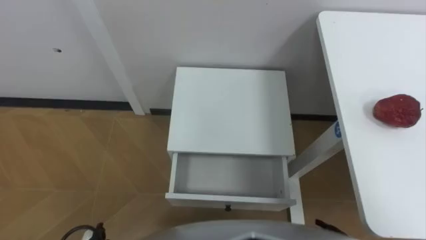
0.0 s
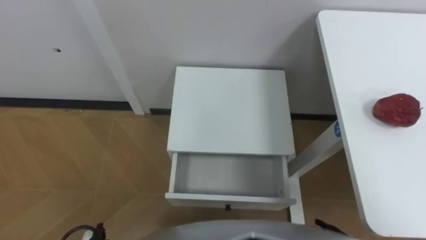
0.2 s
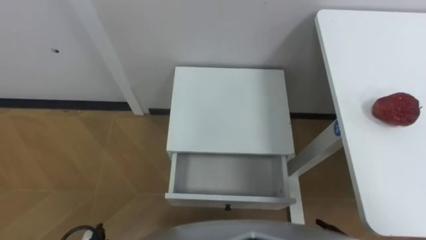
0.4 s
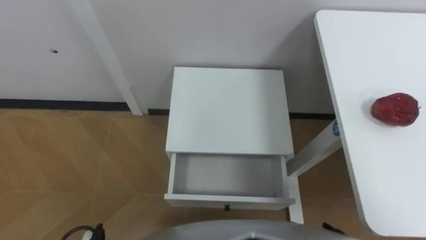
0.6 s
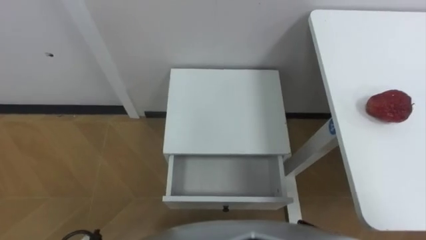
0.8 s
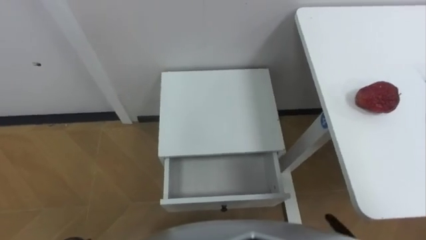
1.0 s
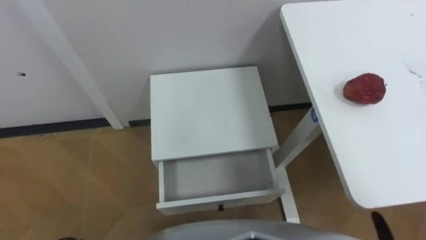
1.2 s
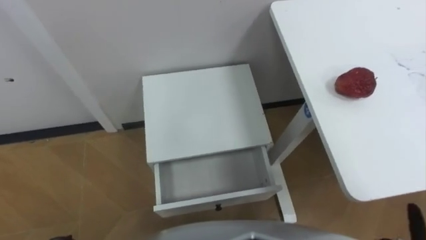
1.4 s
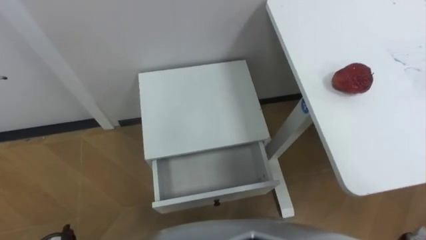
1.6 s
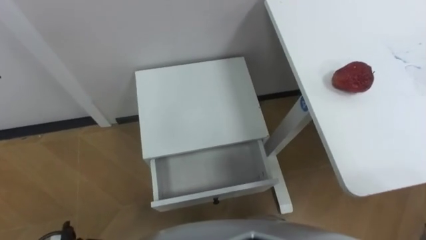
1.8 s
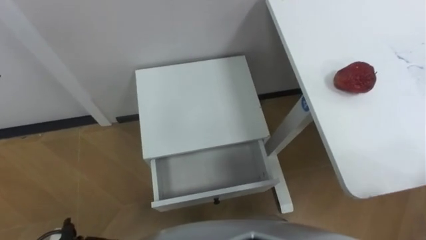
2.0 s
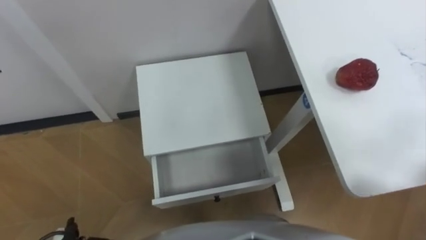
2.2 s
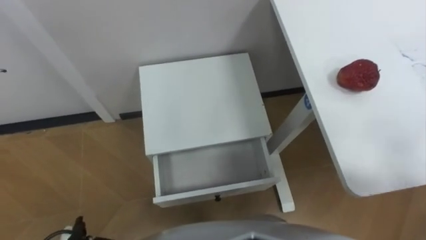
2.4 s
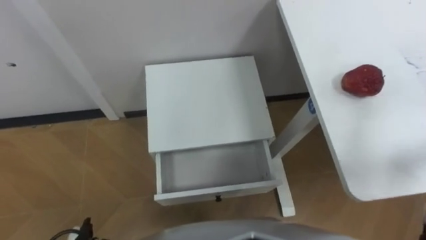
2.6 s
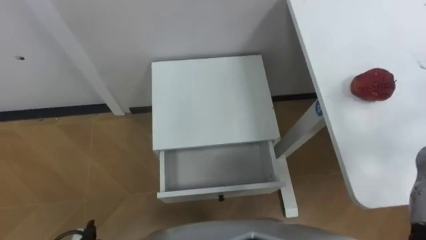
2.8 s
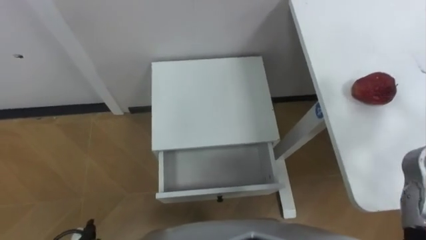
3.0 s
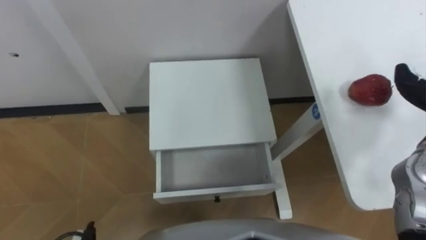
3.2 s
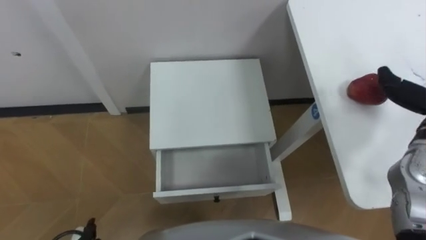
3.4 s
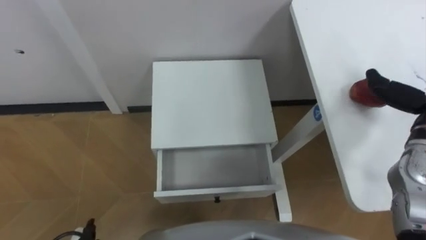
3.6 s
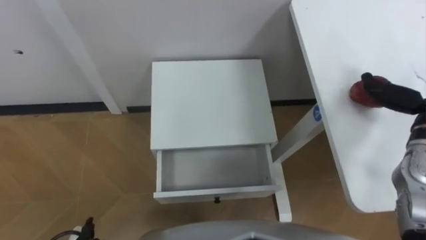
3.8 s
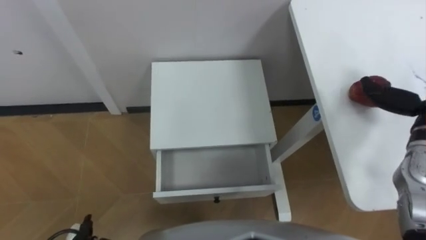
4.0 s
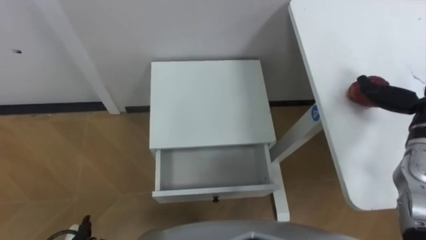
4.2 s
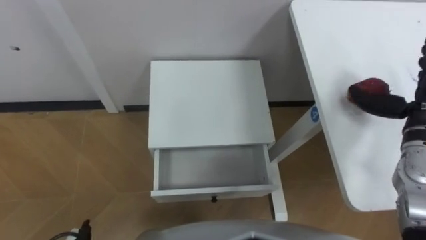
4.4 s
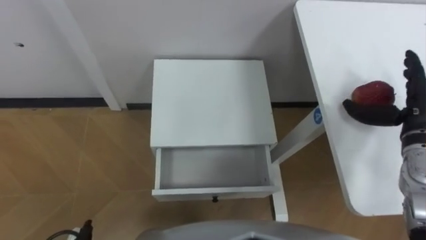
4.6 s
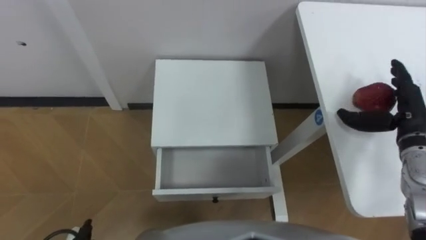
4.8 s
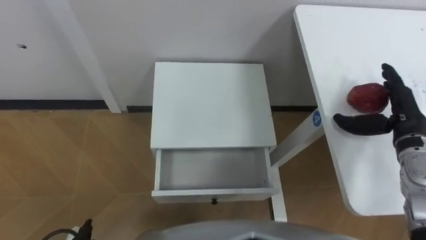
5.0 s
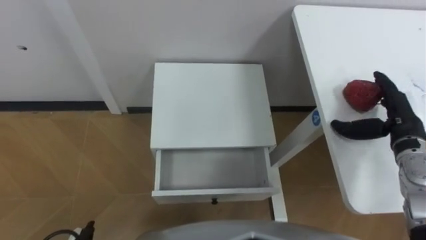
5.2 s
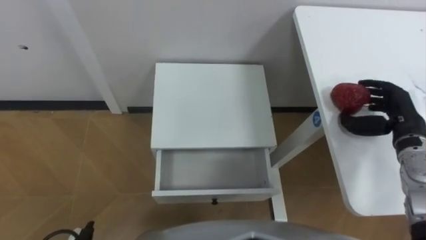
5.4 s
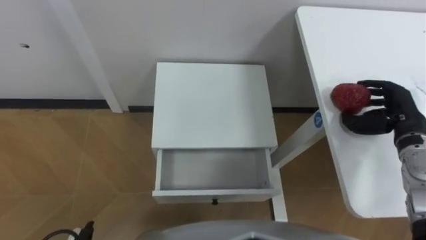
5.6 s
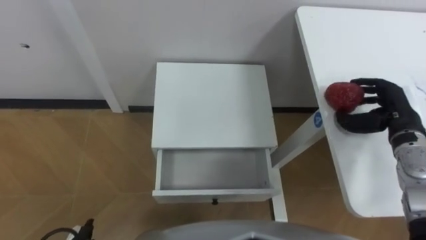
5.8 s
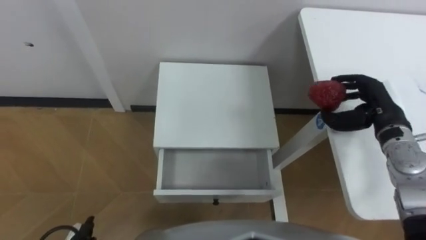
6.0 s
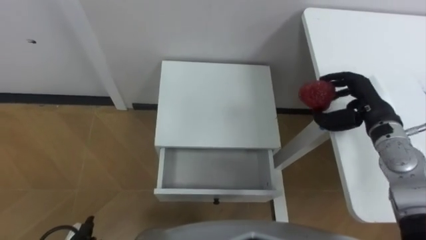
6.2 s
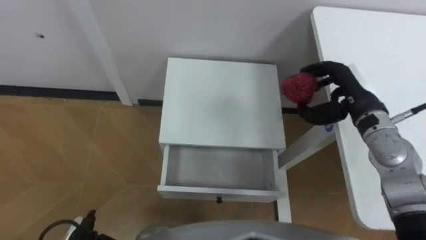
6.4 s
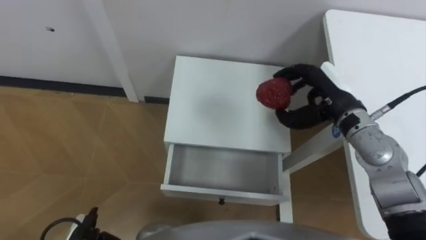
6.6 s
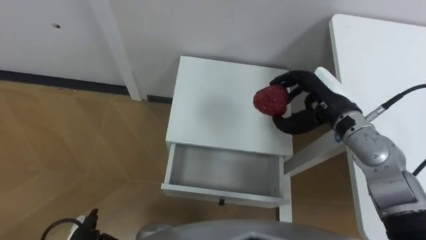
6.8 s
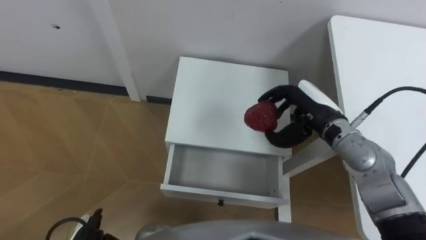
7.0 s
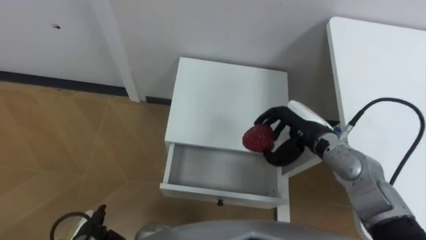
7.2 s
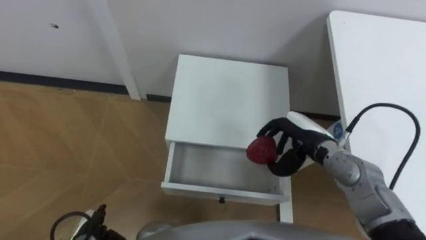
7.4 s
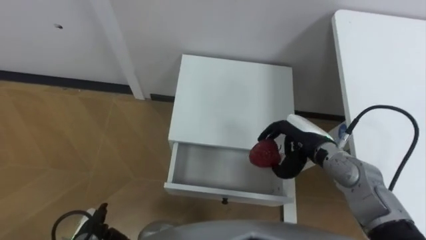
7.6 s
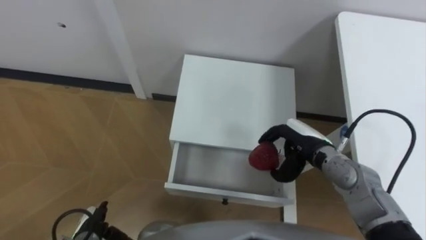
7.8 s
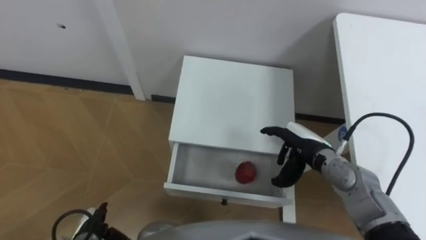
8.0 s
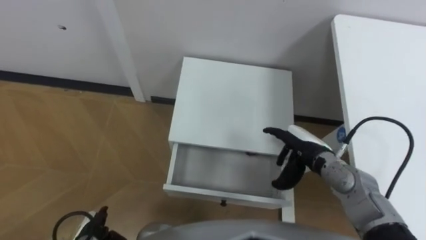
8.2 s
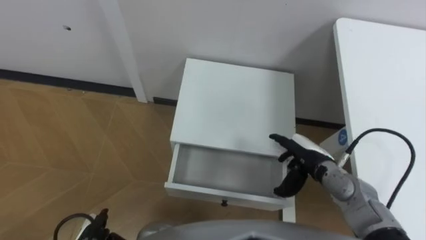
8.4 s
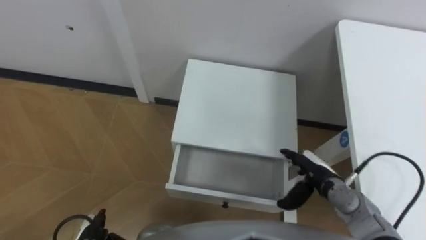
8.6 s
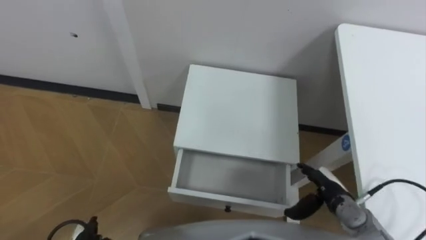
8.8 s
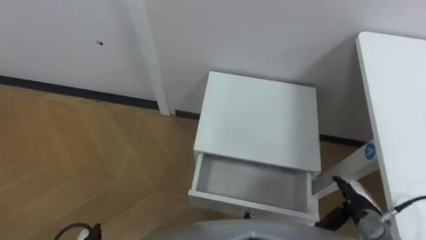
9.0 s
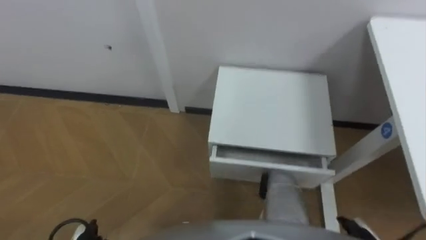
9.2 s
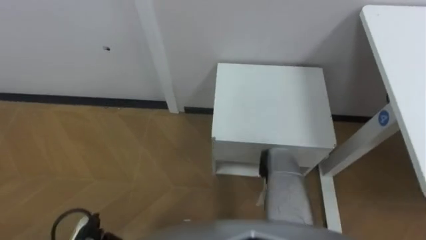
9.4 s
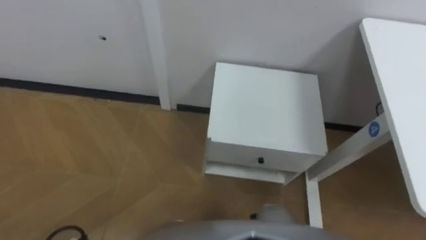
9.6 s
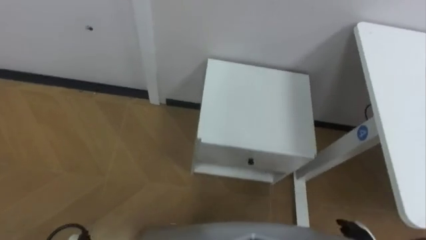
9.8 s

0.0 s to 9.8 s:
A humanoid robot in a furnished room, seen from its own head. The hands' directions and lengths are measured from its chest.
Task of the whole recording: Pick up the apple from the table, put it in the drawer, and close the drawer with leg.
5.6 to 7.0 s: The right hand heads to the left, covering some 15 cm.
7.0 to 8.4 s: The right hand moves downward and backward, about 10 cm, and opens.

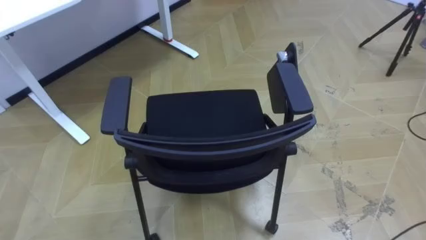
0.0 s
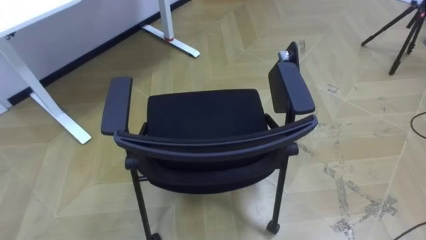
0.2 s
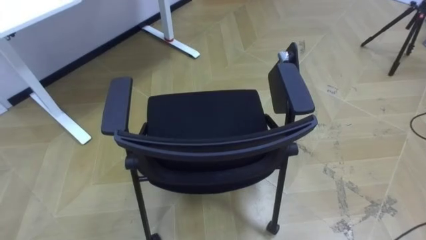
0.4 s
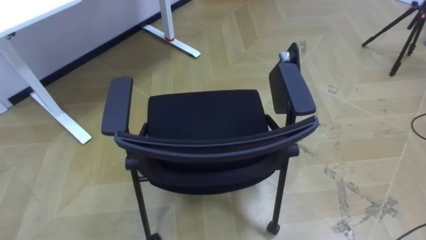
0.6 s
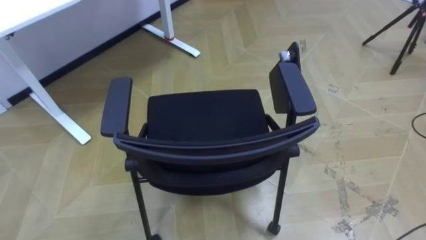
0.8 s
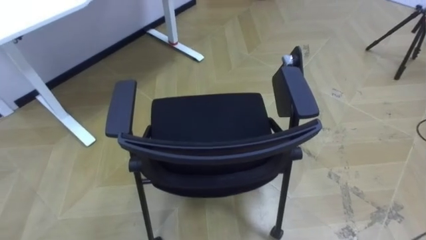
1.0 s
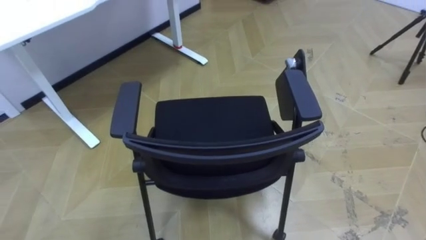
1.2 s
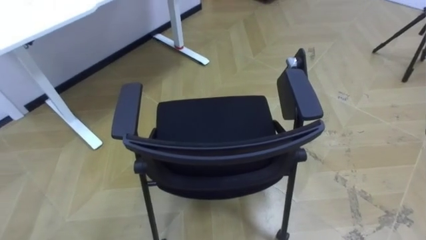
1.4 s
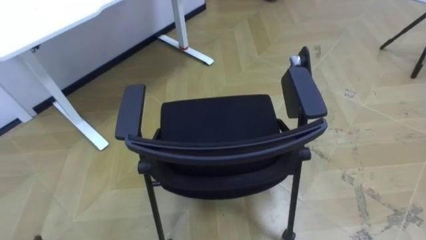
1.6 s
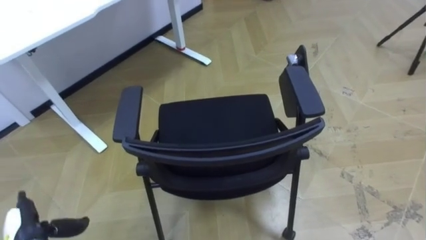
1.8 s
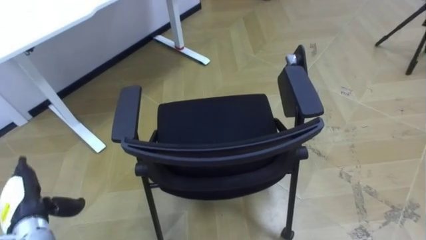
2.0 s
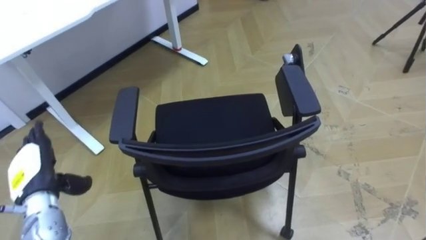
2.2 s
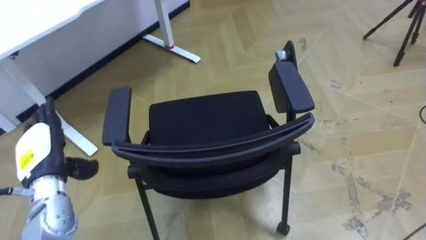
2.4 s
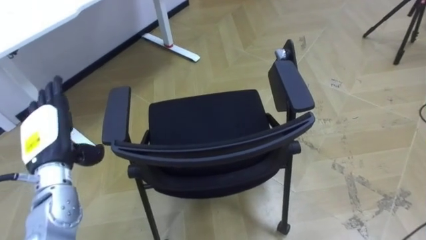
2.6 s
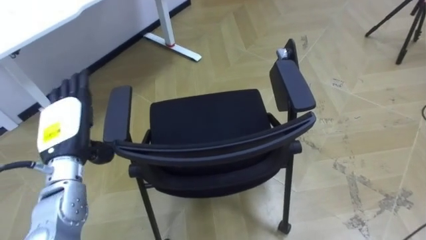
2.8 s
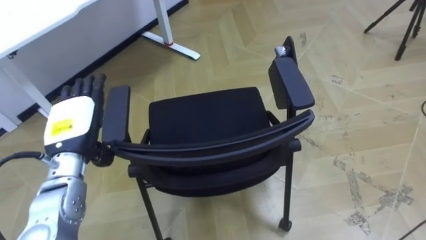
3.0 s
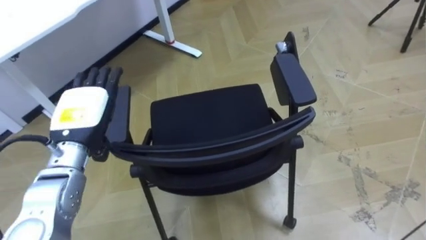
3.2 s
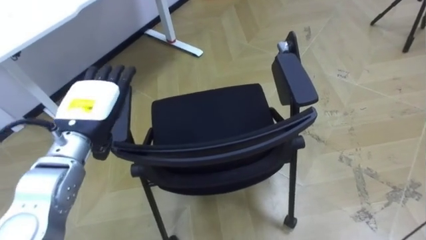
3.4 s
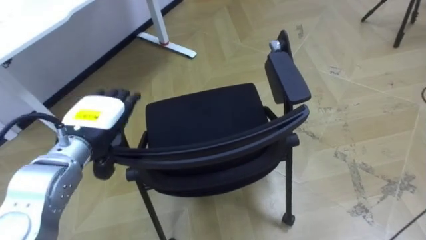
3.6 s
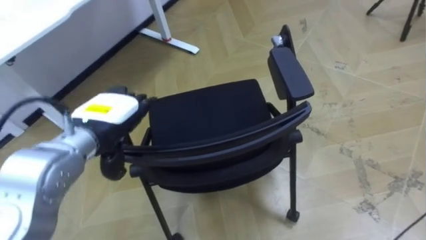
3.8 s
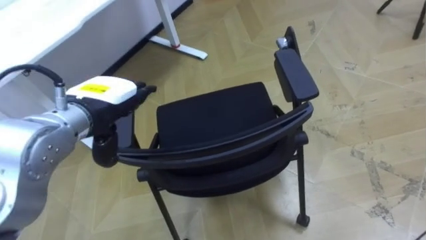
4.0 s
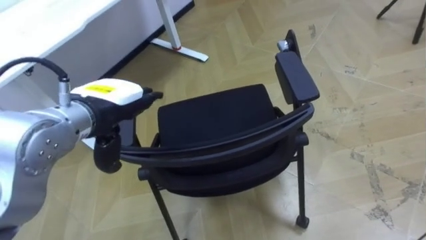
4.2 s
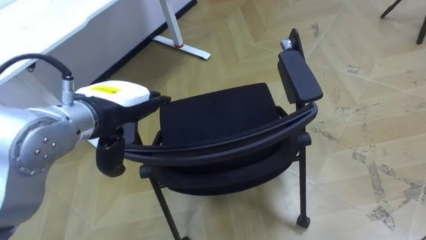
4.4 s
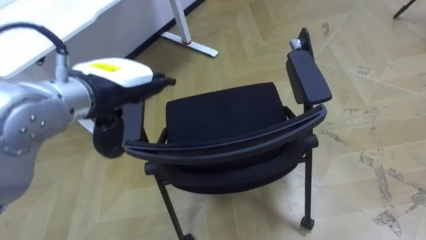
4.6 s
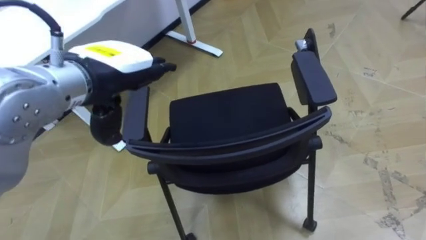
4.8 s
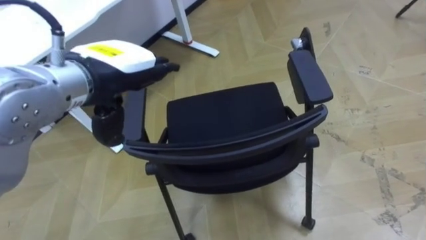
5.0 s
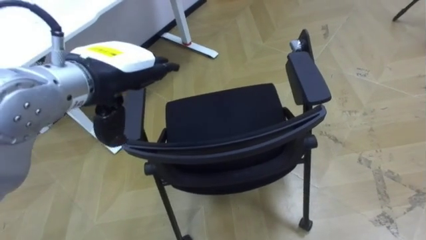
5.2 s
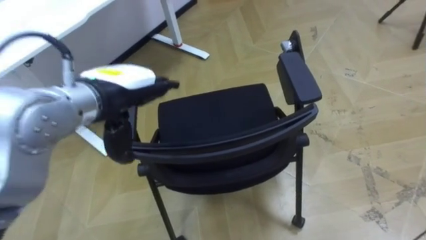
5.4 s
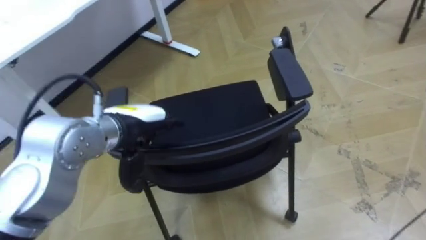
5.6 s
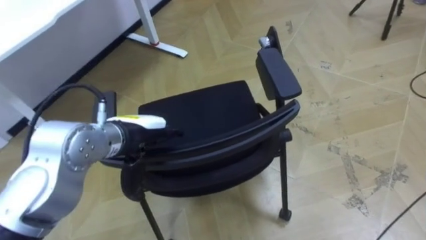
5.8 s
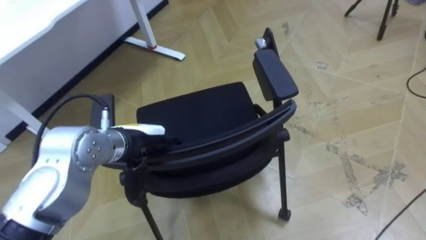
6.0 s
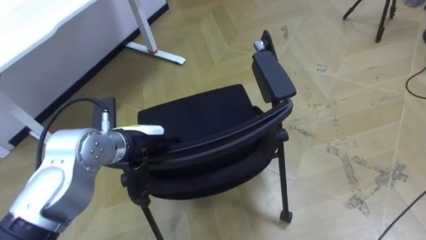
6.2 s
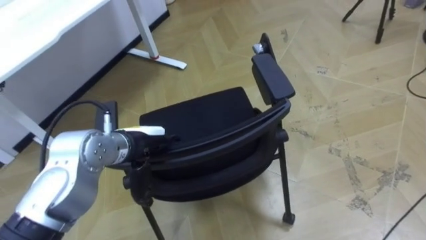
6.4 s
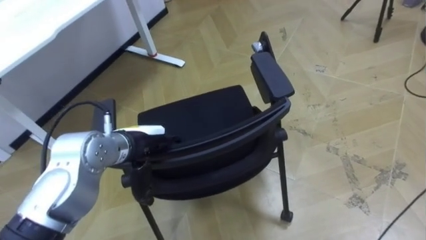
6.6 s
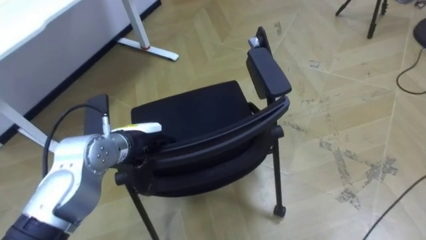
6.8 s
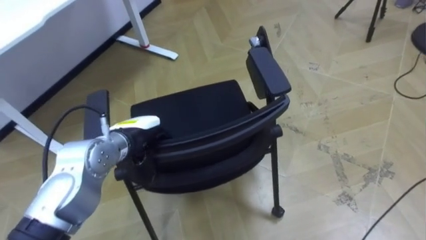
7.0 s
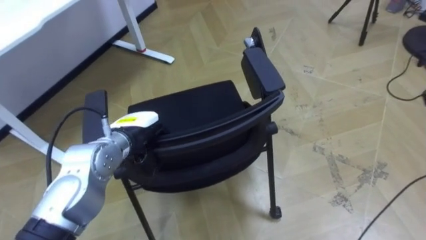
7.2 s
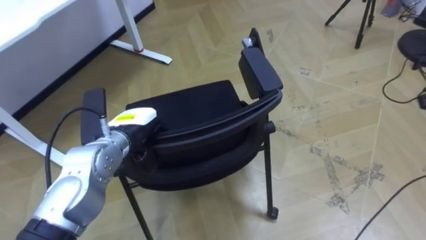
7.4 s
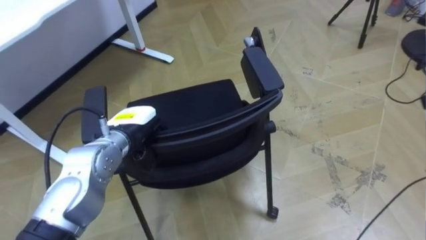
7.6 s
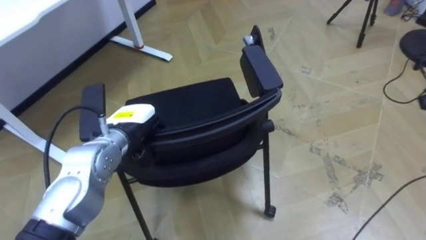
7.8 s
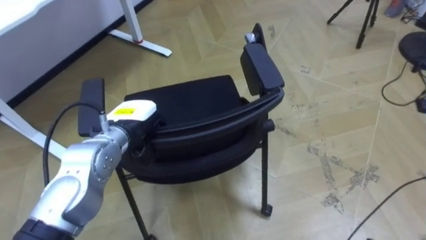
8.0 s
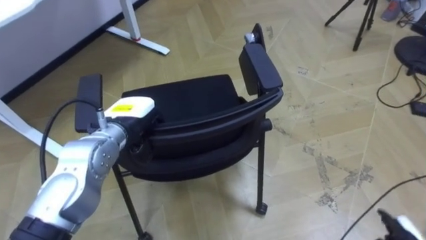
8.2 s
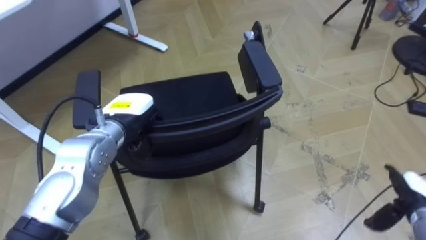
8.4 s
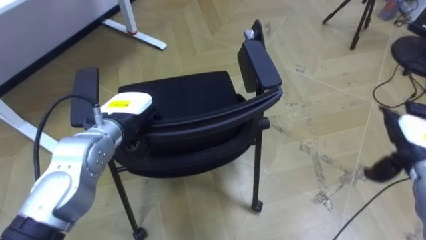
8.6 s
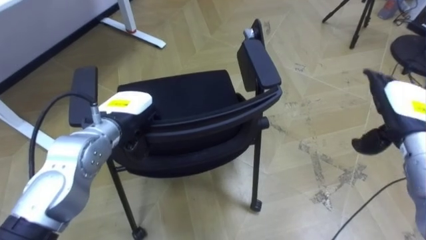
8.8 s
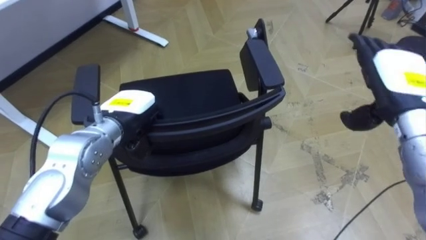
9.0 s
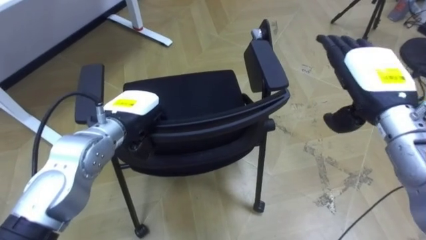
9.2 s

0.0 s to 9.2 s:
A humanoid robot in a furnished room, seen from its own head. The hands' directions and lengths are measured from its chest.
Task of the whole recording: Push the chair under the table.
3.0 to 4.6 s: The left hand travels upward and to the right by about 15 cm.
4.6 to 6.2 s: The left hand shifts roughly 15 cm downward.
6.2 to 7.6 s: The left hand closes.
